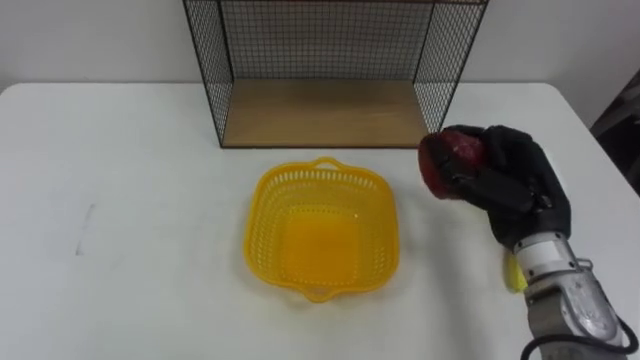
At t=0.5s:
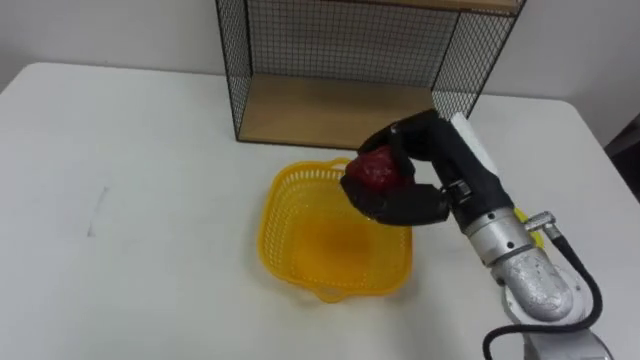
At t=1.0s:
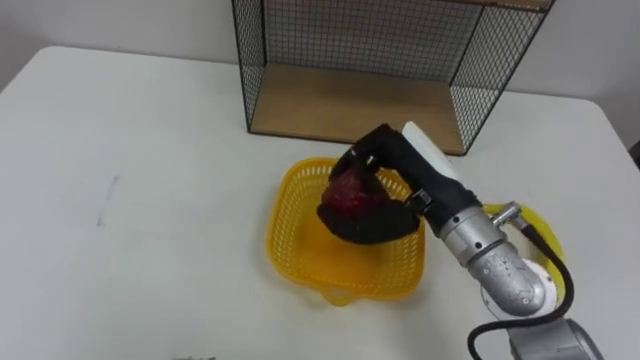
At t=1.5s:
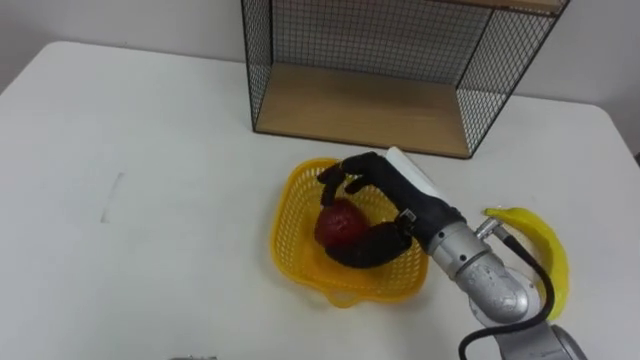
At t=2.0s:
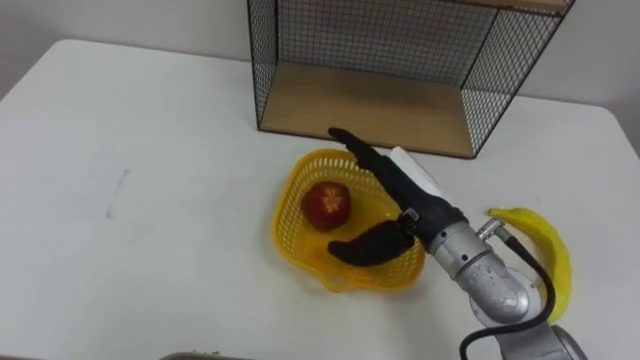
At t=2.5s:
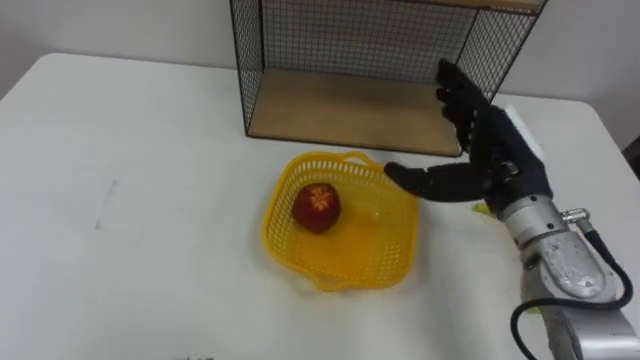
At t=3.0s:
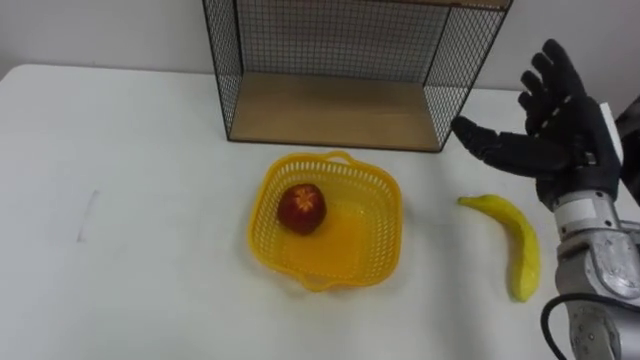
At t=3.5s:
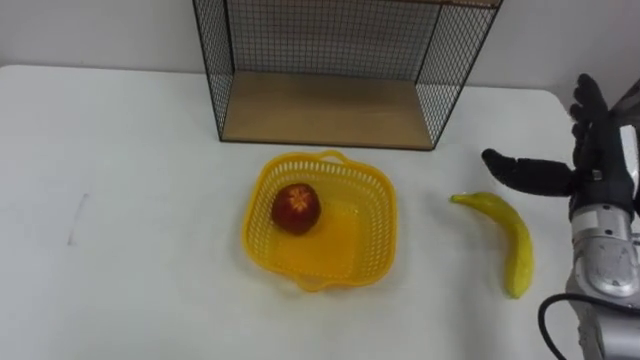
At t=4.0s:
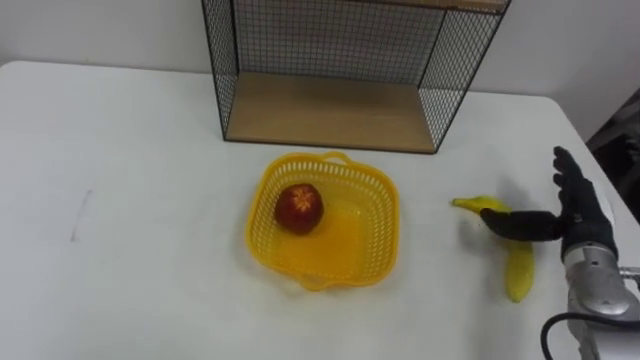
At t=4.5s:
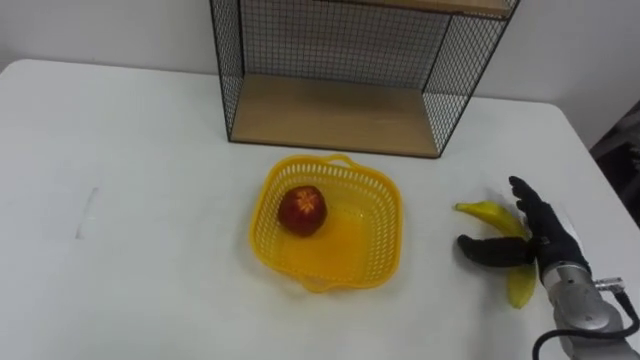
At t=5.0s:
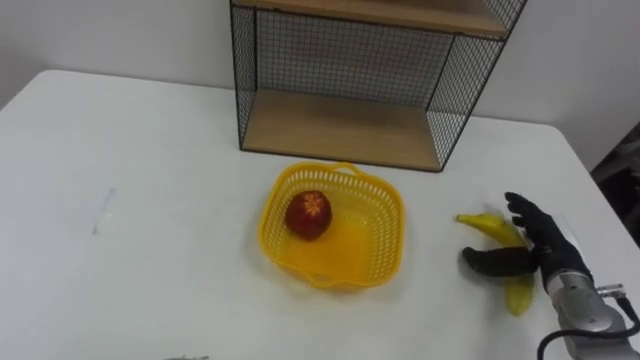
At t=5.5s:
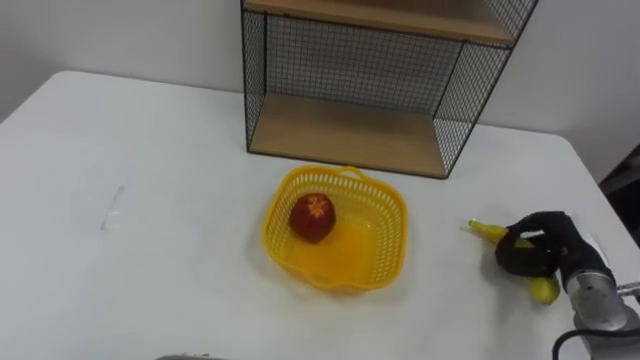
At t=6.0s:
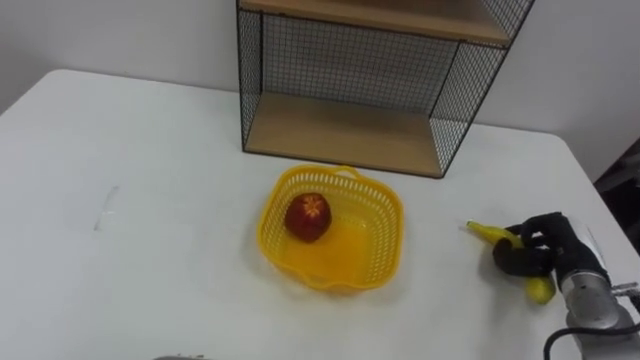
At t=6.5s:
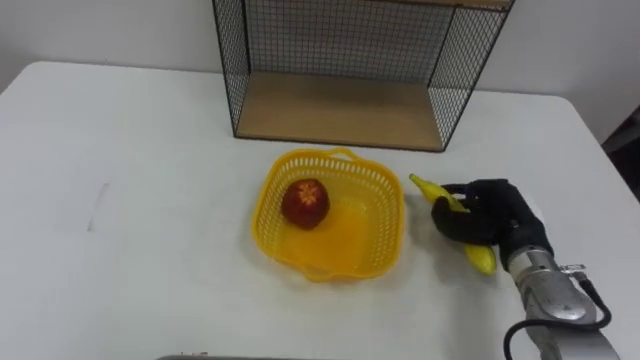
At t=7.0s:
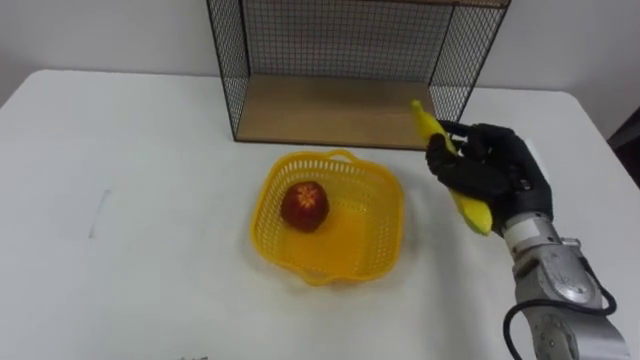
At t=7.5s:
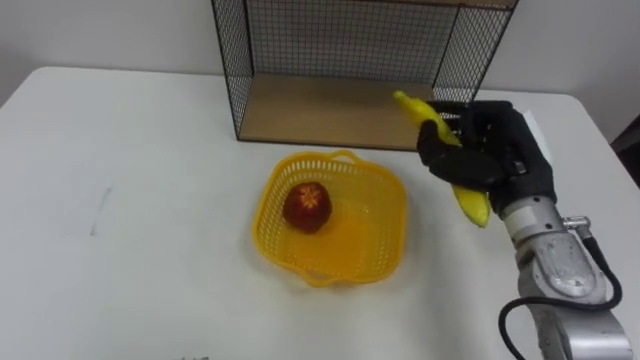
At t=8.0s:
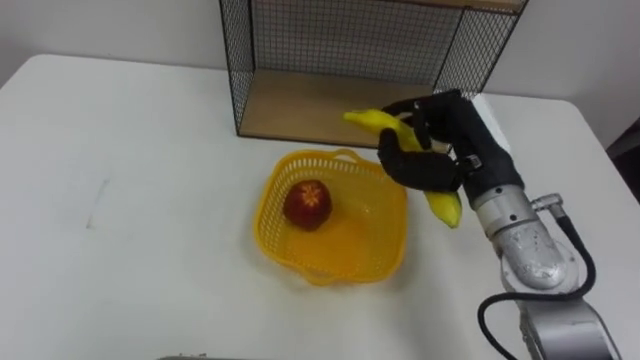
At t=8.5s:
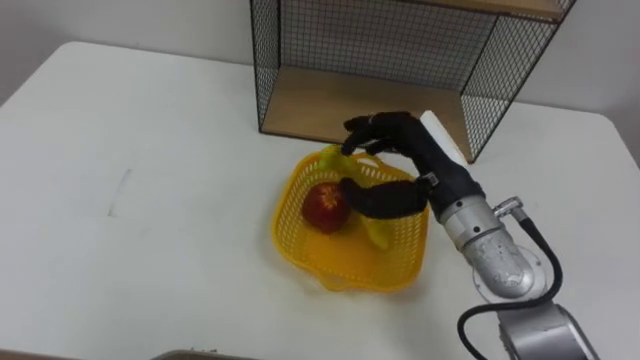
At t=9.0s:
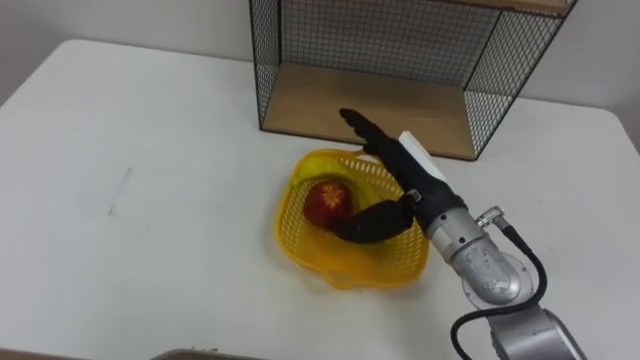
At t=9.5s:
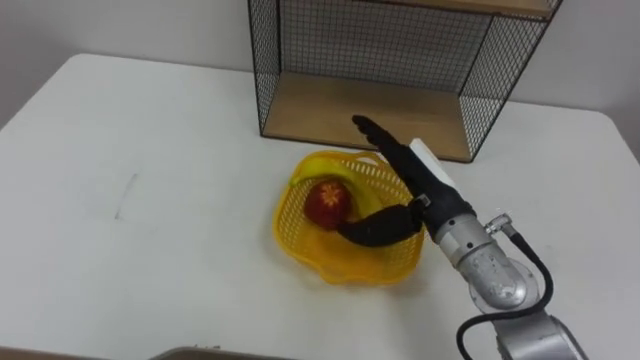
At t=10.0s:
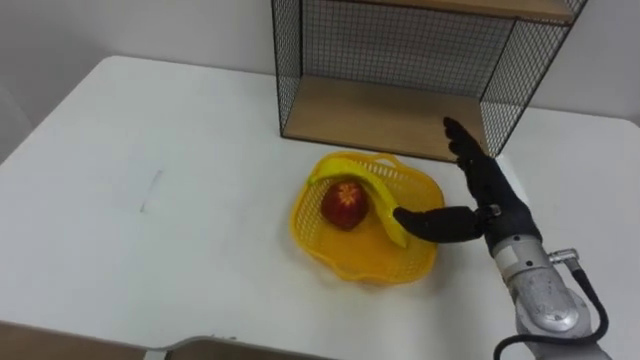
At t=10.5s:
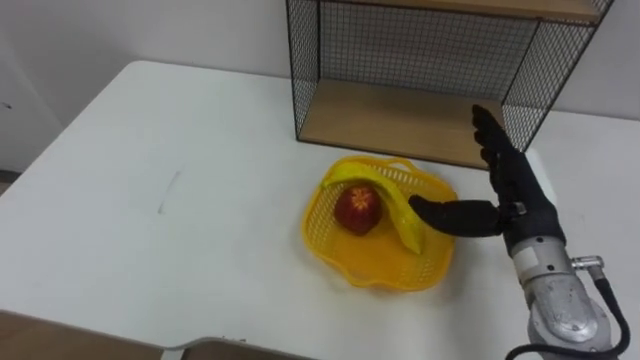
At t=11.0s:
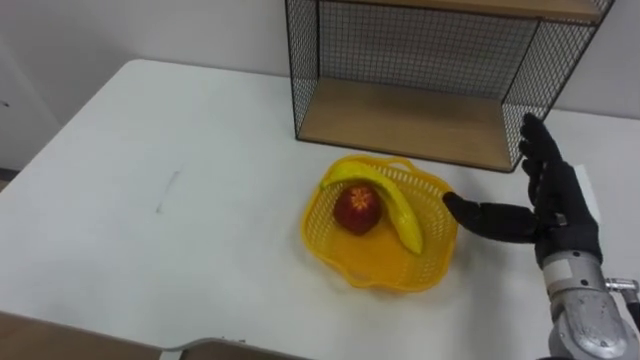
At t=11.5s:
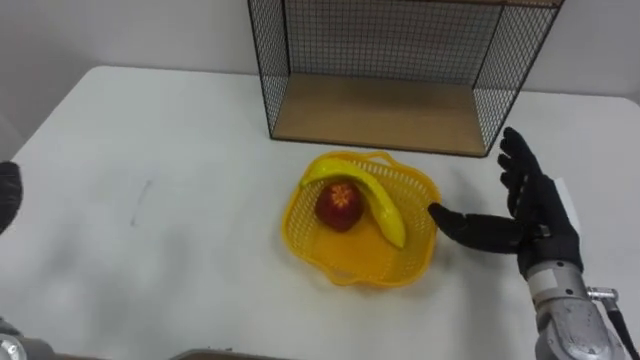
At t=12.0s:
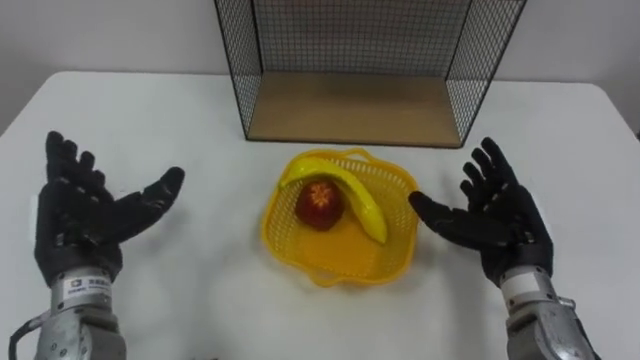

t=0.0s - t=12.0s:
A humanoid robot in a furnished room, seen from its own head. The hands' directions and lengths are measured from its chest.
Task of the whole recording: Put the fruit on the table into the basket, then place the basket on the shelf.
t=0.0s - t=2.0s: The right hand shifts approximately 10 cm to the left, and opens its fingers.
t=2.0s - t=4.0s: The right hand heads to the right, covering about 20 cm.
t=4.0s - t=6.0s: The right hand is displaced downward by some 5 cm, and closes up.
t=6.0s - t=8.0s: The right hand travels upward and to the left by about 25 cm.
t=8.0s - t=10.0s: The right hand moves downward, roughly 5 cm, and opens its fingers.

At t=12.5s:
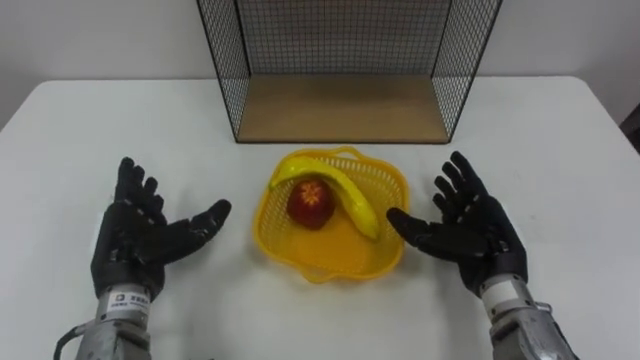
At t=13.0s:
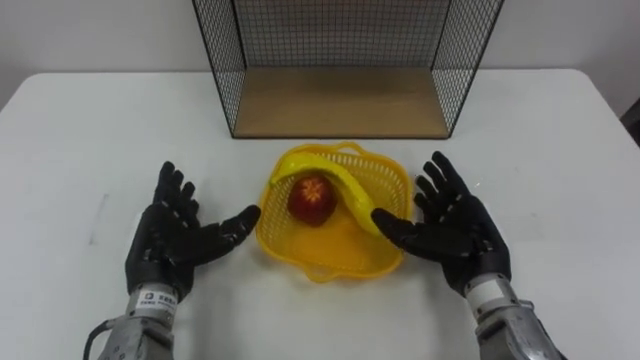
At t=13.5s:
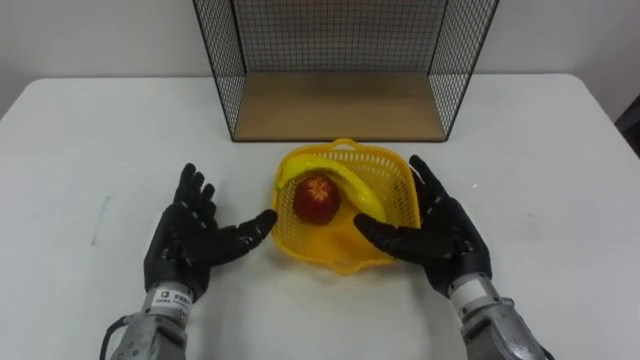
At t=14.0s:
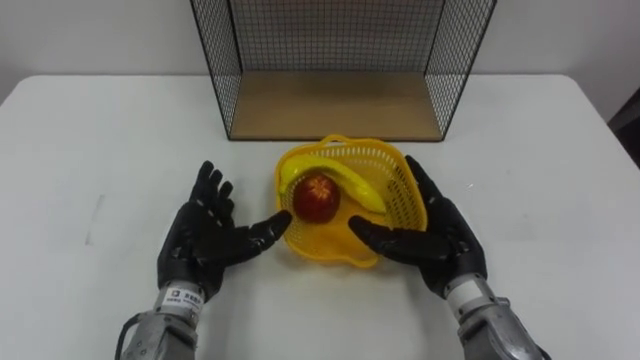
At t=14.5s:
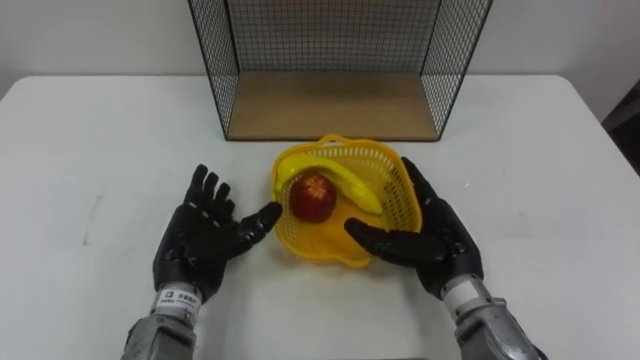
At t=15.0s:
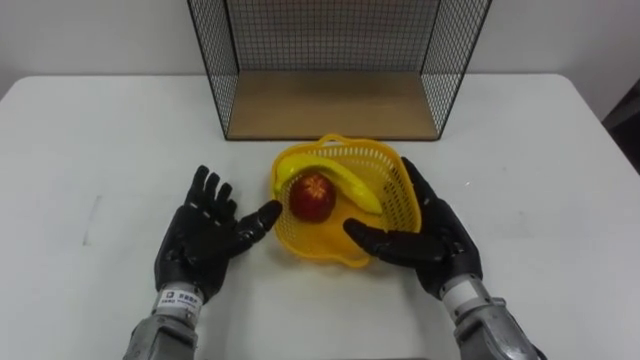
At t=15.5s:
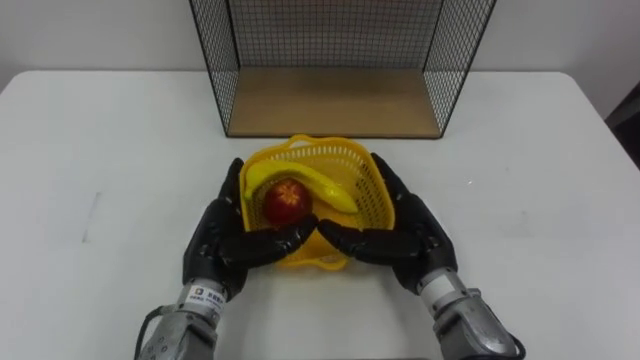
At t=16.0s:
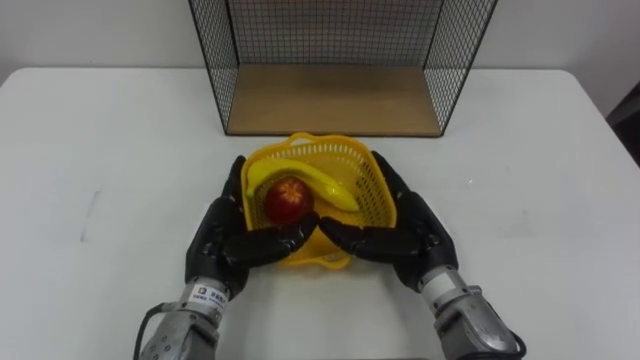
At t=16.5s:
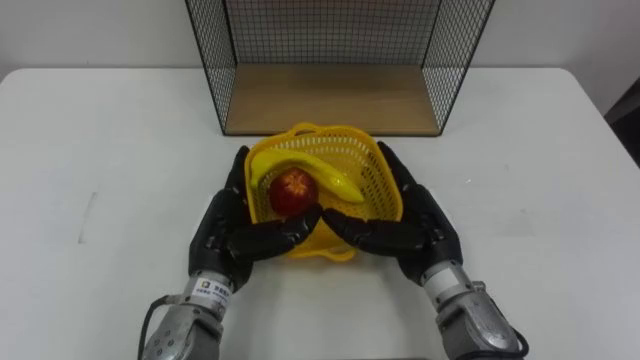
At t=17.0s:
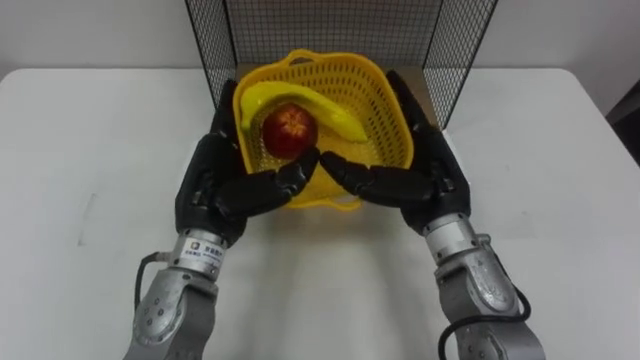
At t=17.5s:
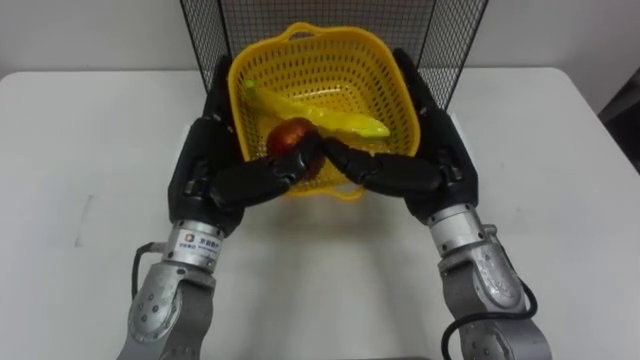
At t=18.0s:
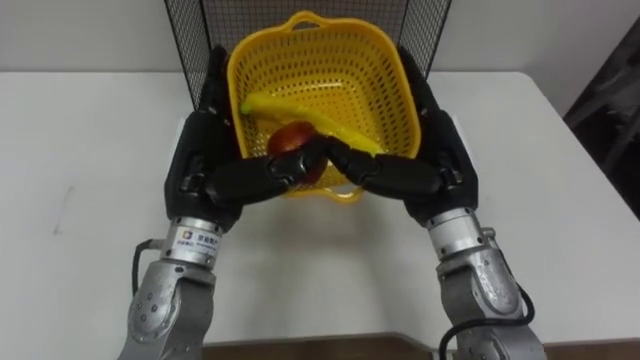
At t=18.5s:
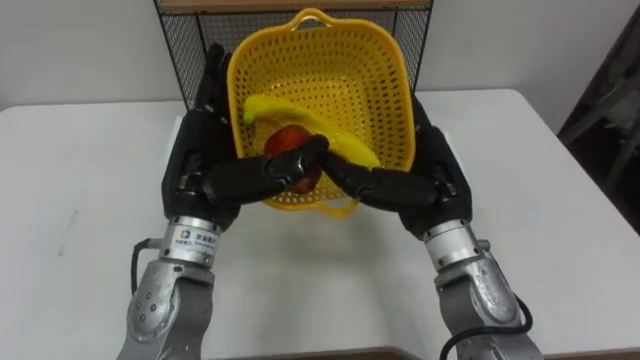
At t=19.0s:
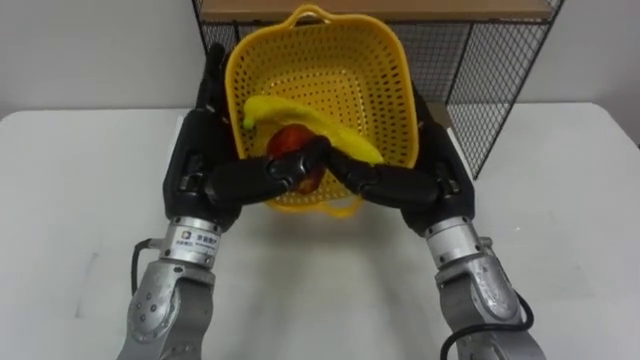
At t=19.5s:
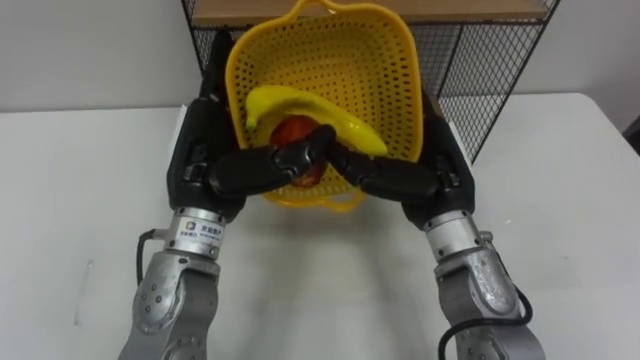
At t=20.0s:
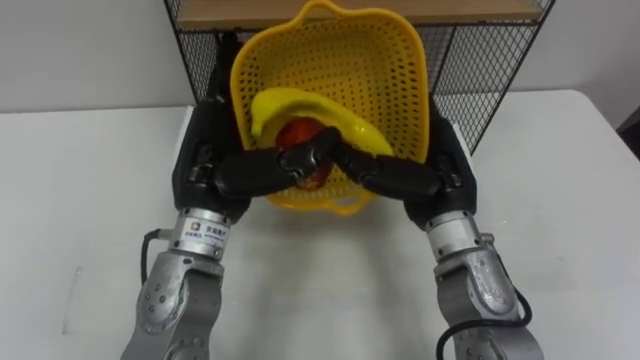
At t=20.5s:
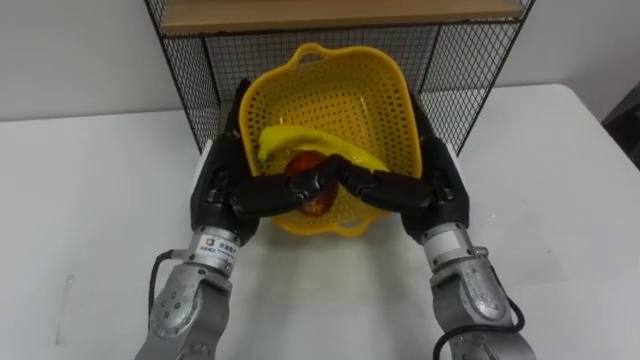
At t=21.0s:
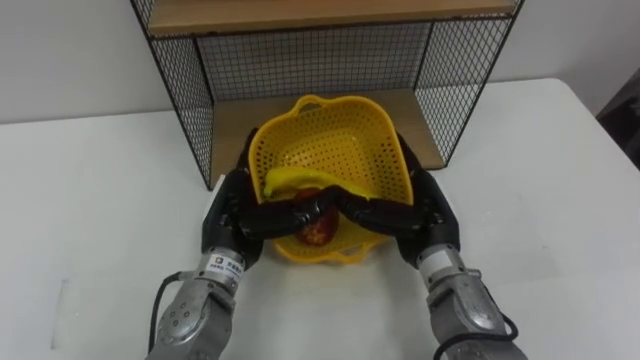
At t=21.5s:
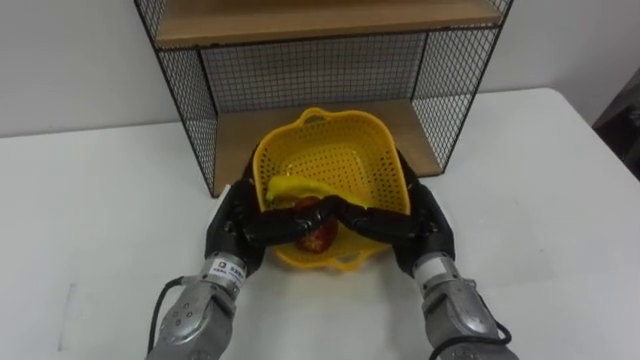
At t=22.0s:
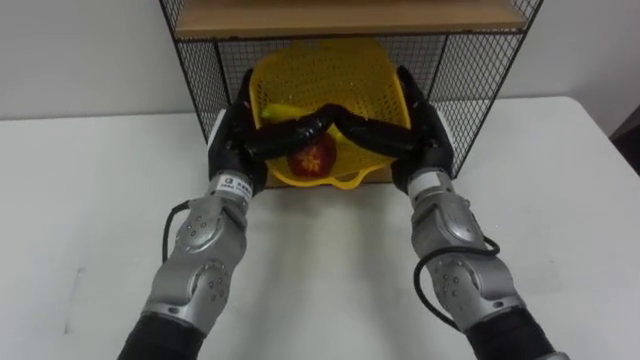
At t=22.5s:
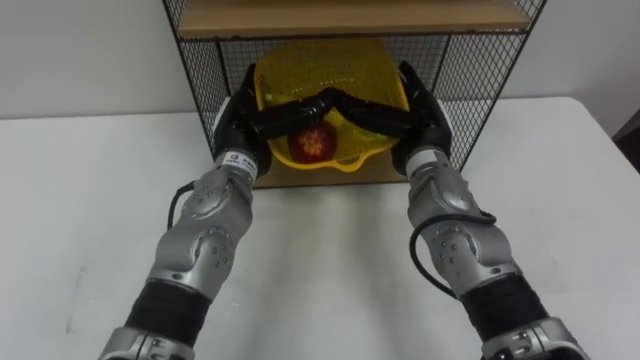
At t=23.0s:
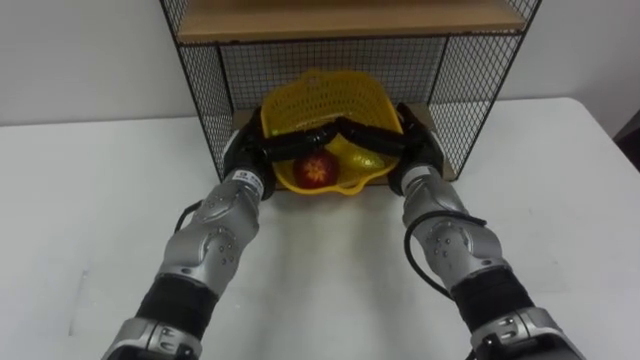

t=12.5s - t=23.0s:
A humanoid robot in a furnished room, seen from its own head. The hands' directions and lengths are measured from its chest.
Task of the whole recording: Put the fruit on the table into the basket, then place the basket on the shelf.
t=12.5s - t=14.5s: The right hand is displaced to the left by approximately 5 cm; the left hand travels to the right by some 5 cm.
t=14.5s - t=16.5s: The left hand ends up about 5 cm from where it was.
t=16.5s - t=19.0s: Both hands move upward, about 10 cm.
t=19.0s - t=21.0s: The two hands go approximately 10 cm downward.
t=21.0s - t=23.0s: The hands both shift forward by roughly 10 cm.
